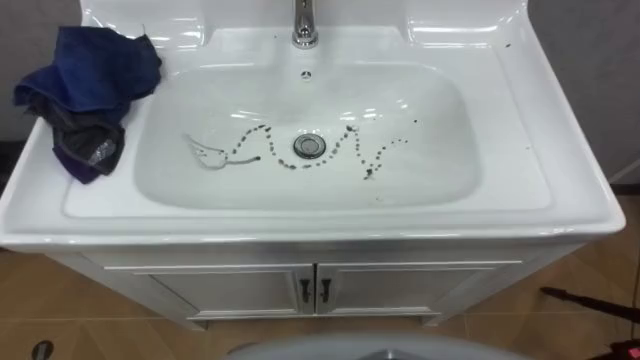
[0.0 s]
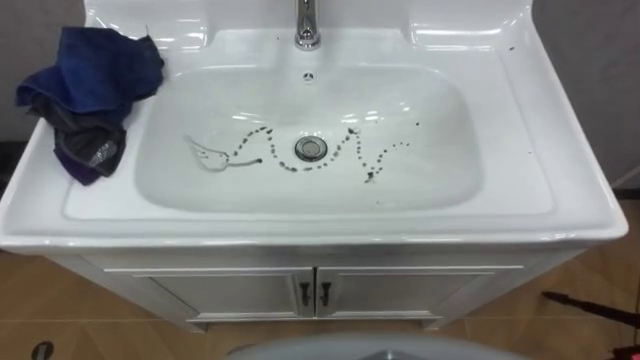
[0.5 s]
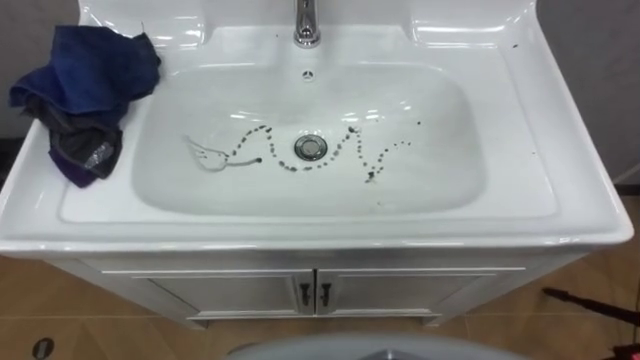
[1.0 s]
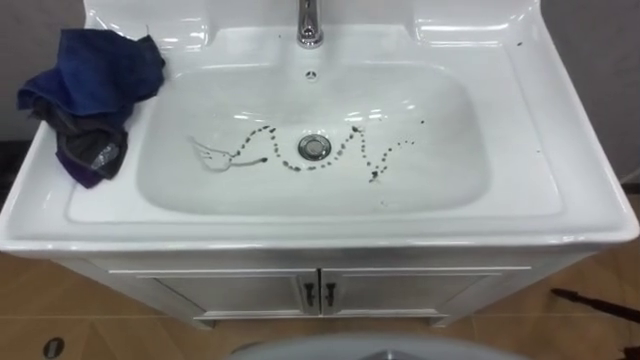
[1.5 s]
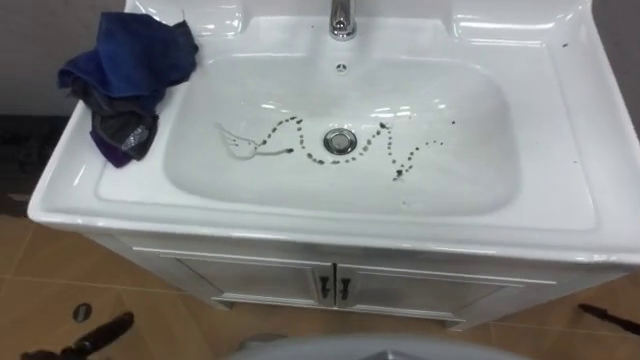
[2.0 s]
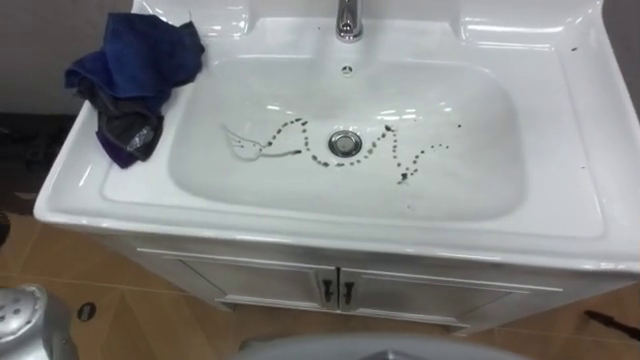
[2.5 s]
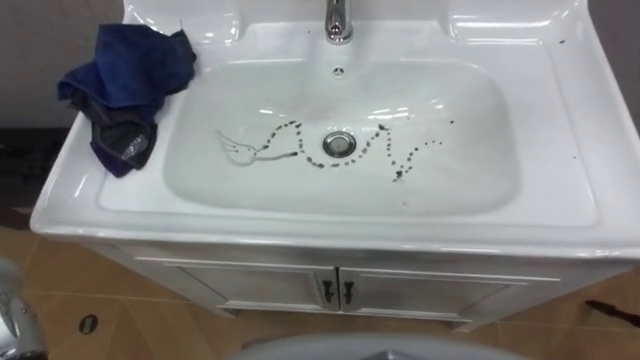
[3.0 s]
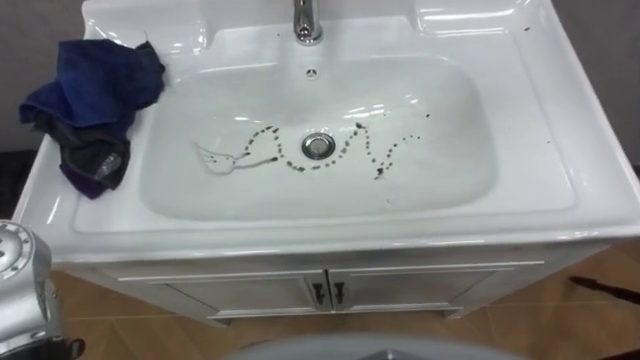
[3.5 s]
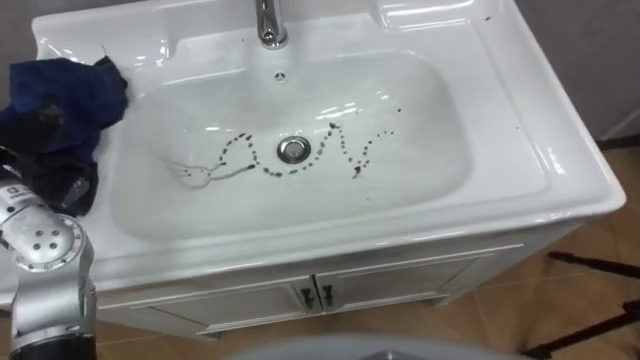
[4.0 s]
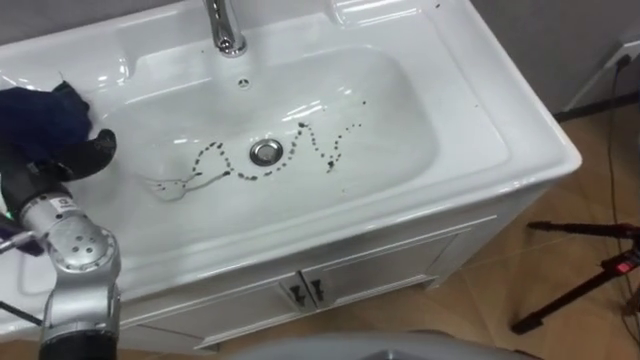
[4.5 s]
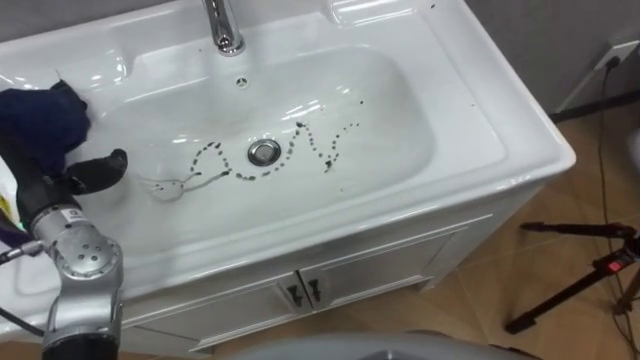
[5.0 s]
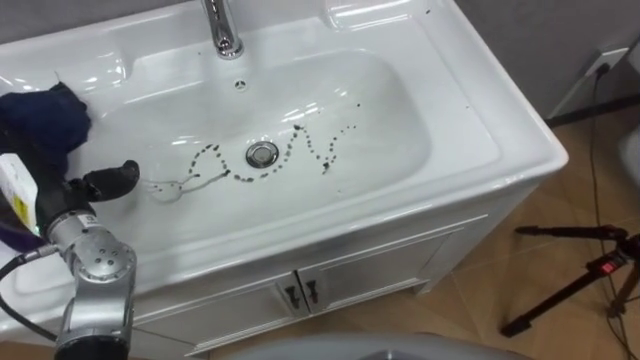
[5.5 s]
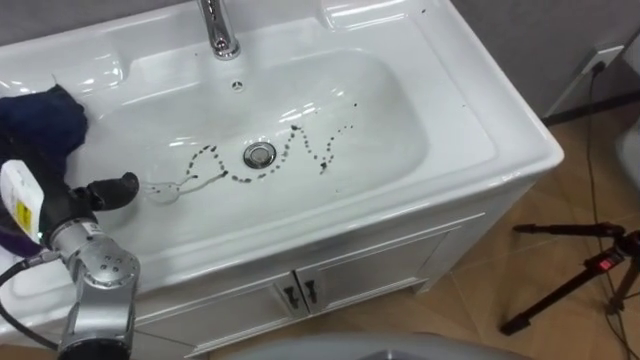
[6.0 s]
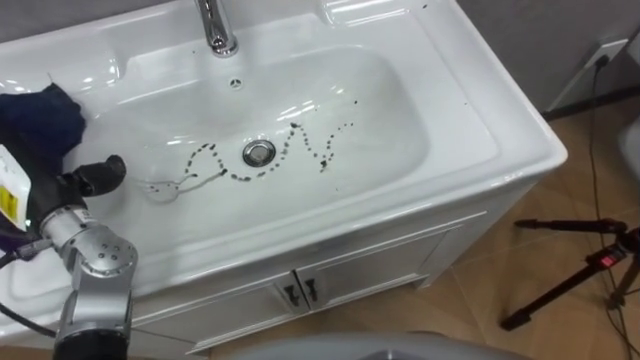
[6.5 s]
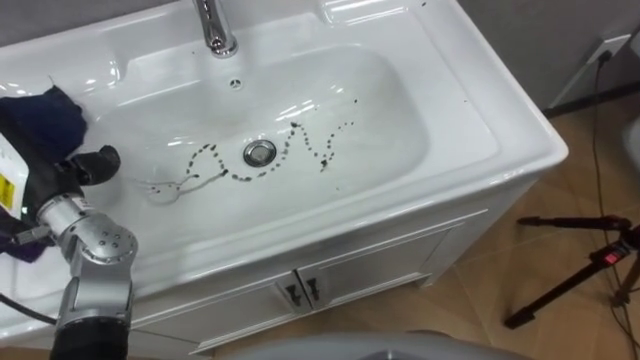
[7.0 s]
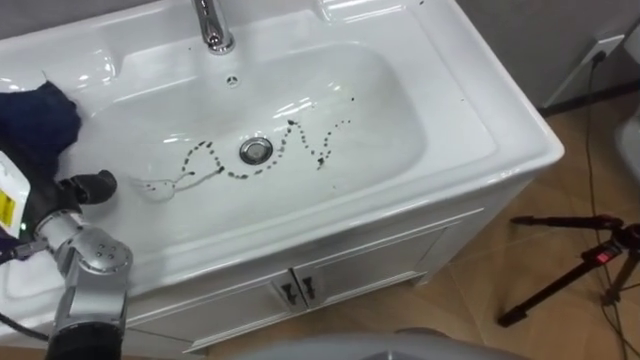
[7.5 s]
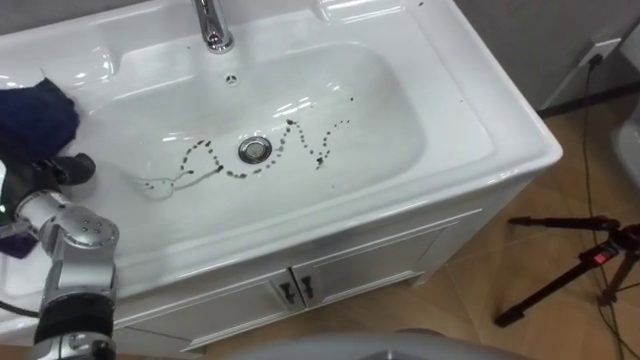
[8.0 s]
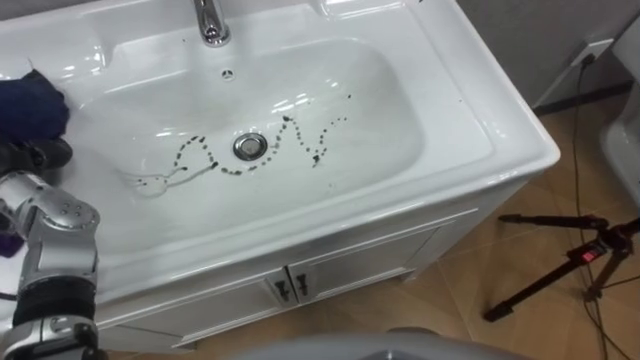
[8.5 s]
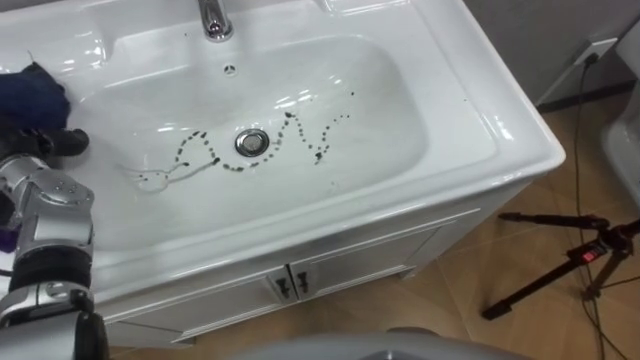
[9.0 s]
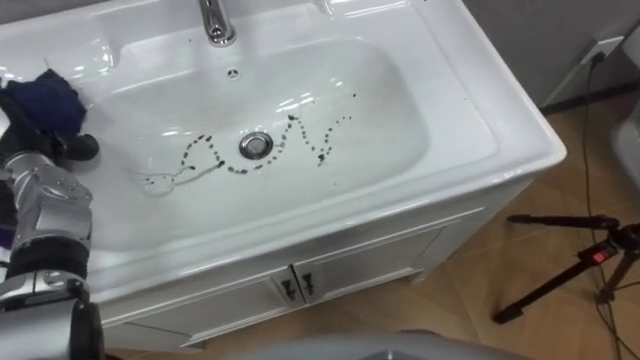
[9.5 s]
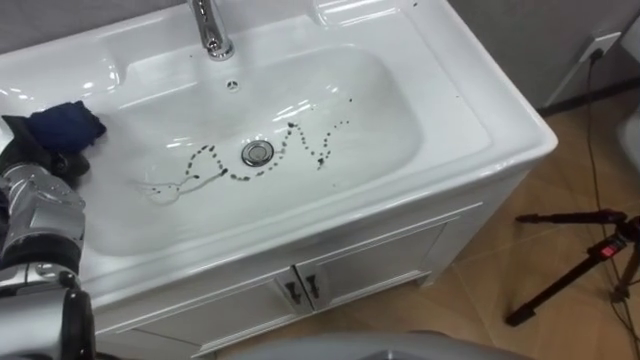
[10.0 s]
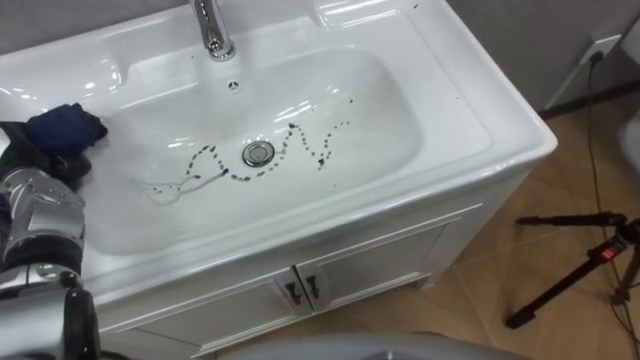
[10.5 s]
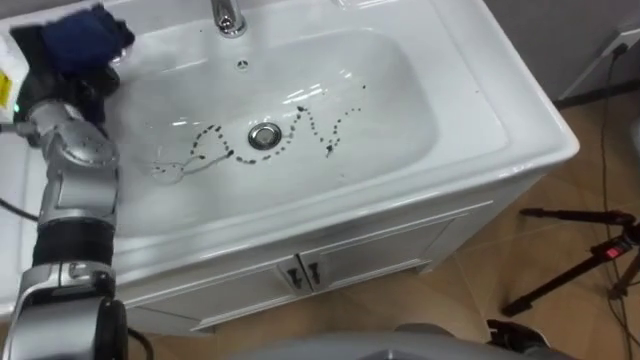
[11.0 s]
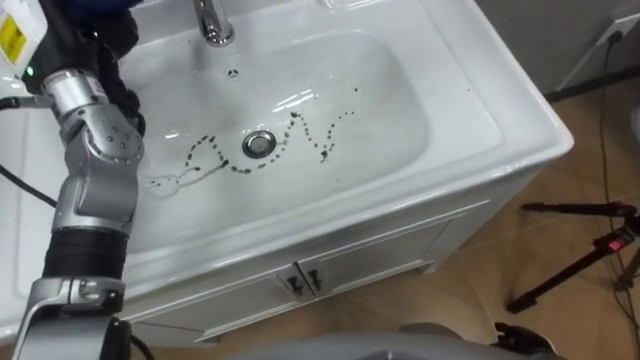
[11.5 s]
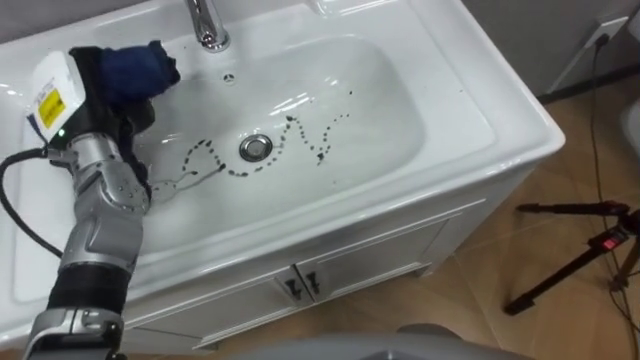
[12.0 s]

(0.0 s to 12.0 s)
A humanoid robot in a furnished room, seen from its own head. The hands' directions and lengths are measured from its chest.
Task of the whole recording: Use the cloth on the right to wipe away the black stain in the sink.
10.0 s - 12.0 s: The left hand moves to the right and upward, about 10 cm.

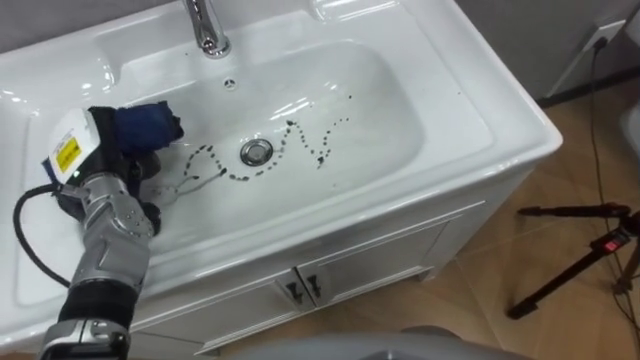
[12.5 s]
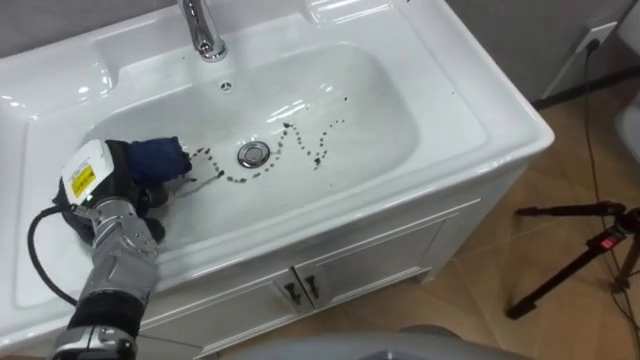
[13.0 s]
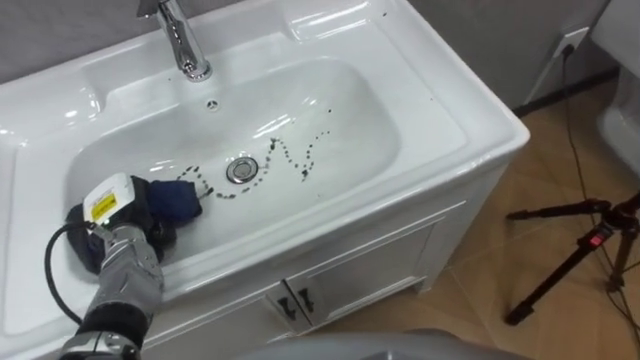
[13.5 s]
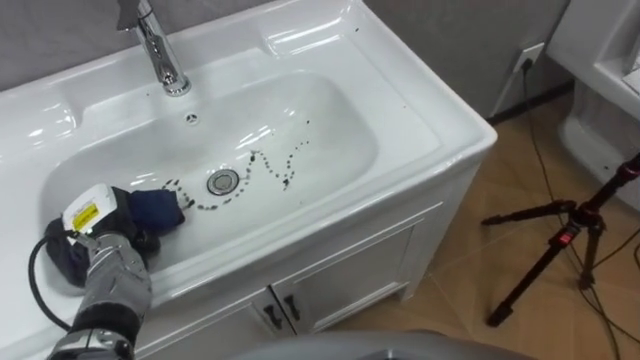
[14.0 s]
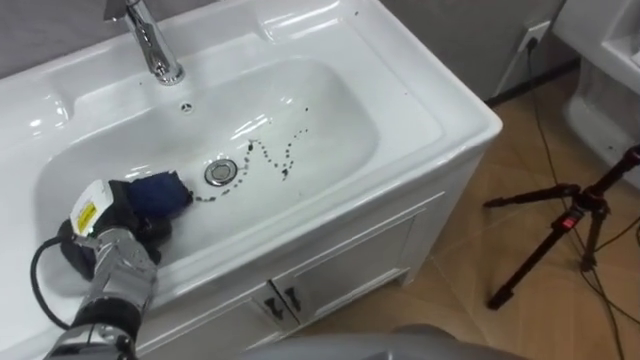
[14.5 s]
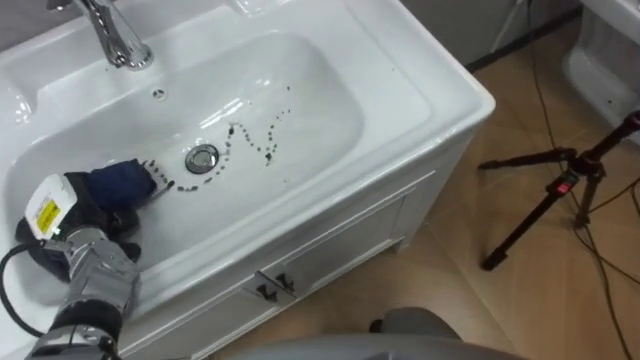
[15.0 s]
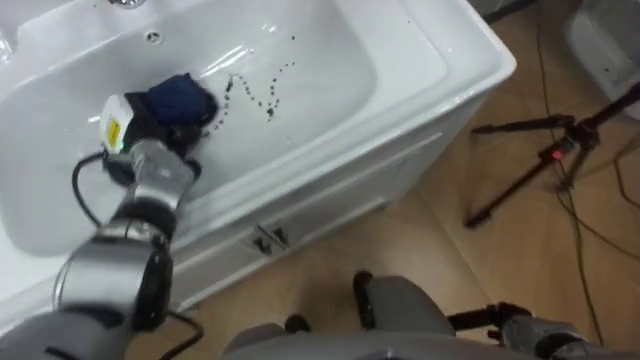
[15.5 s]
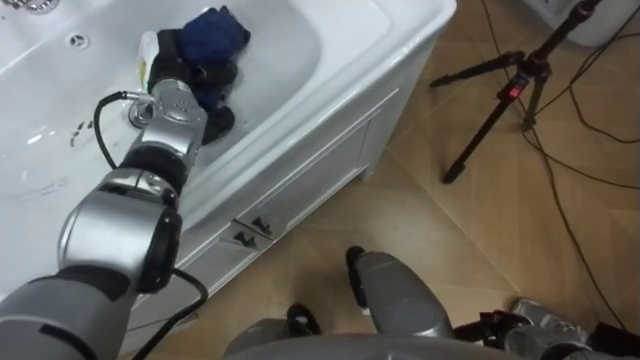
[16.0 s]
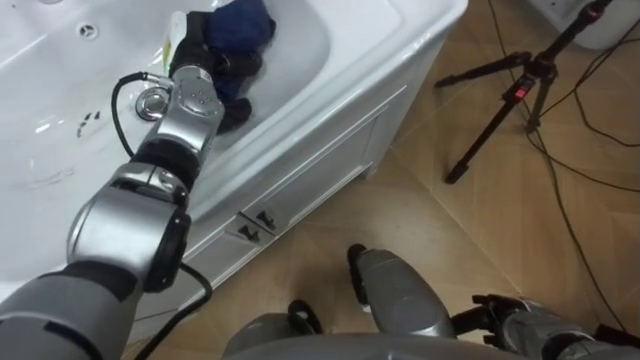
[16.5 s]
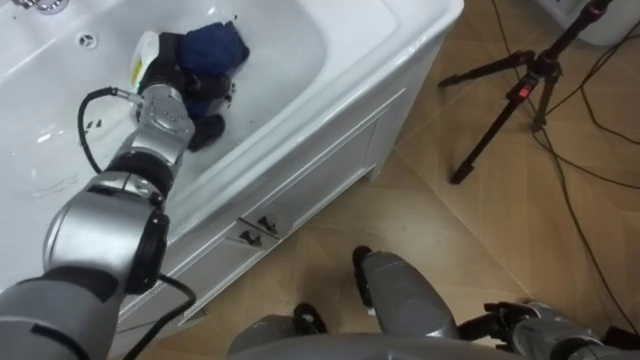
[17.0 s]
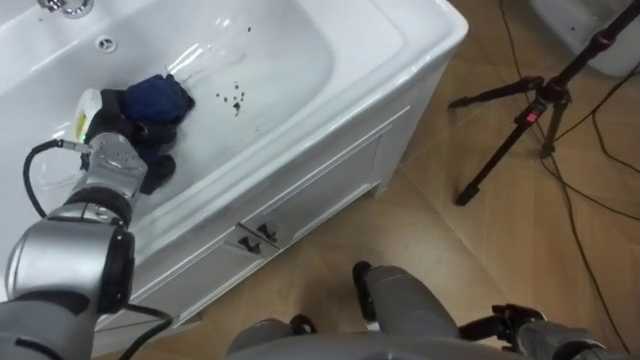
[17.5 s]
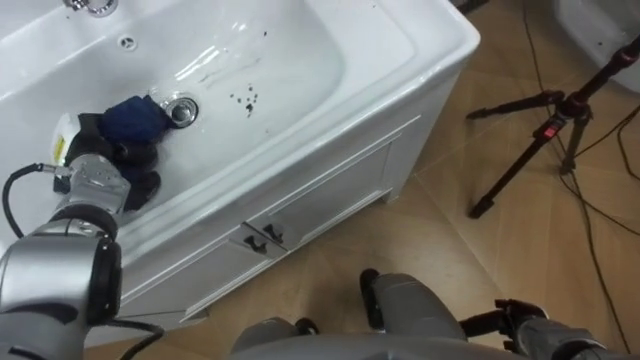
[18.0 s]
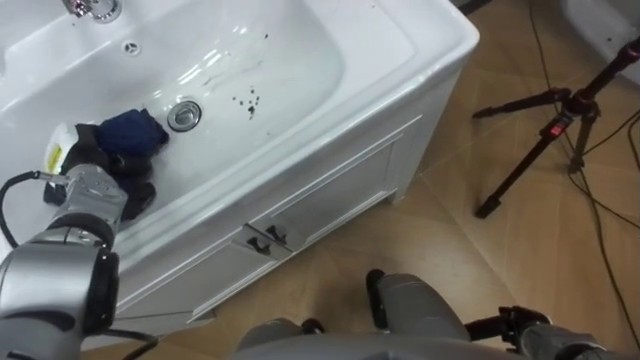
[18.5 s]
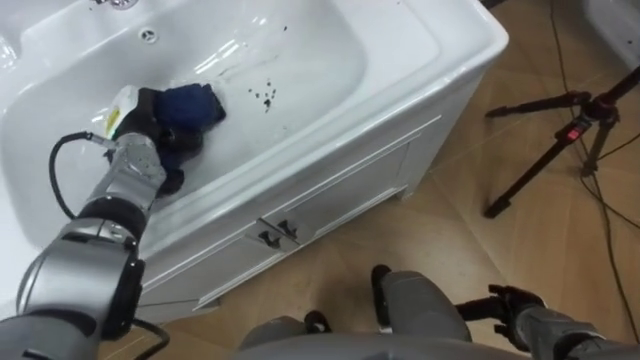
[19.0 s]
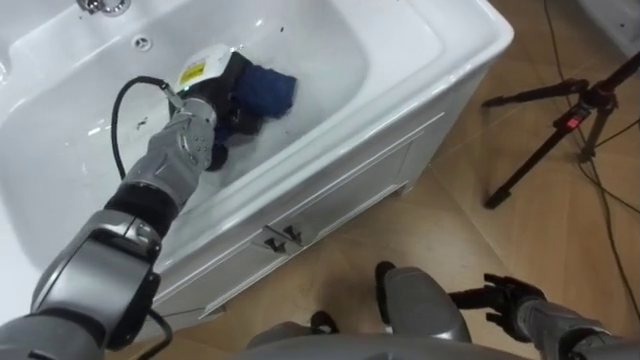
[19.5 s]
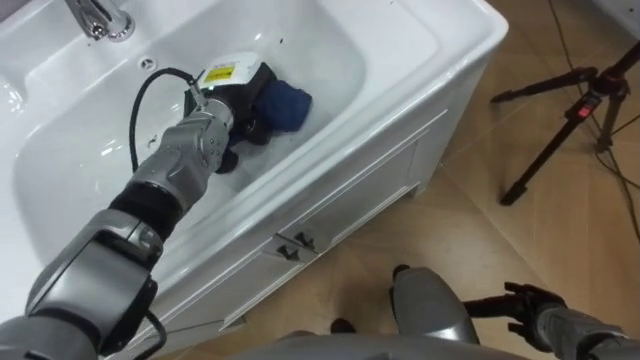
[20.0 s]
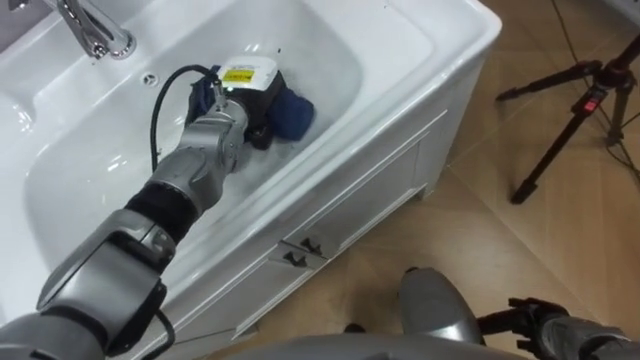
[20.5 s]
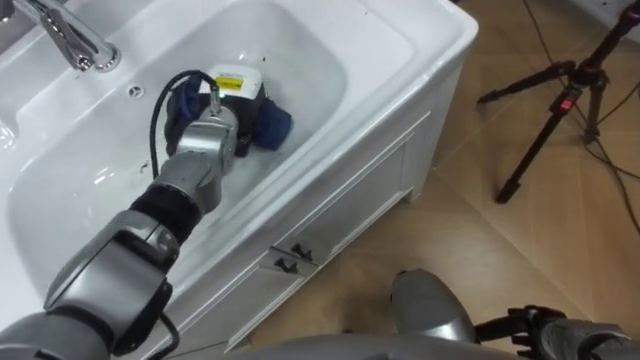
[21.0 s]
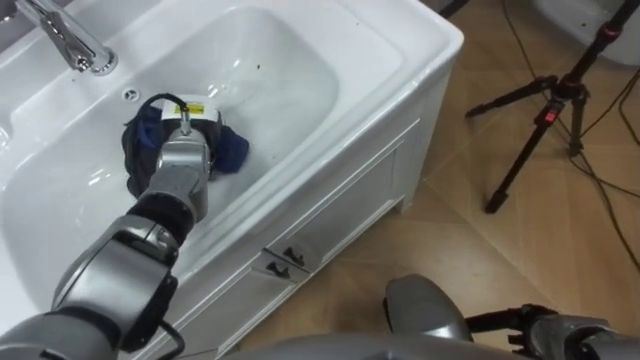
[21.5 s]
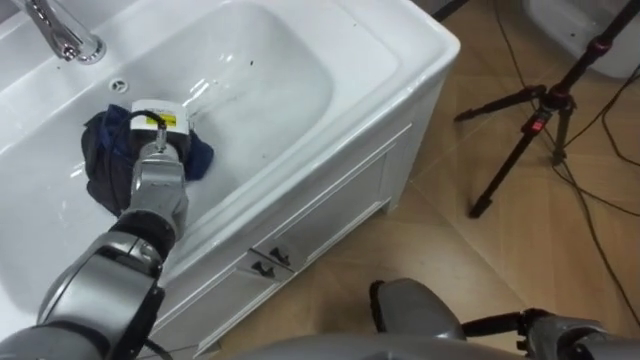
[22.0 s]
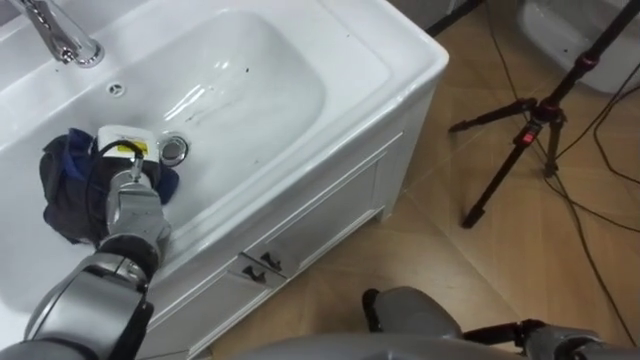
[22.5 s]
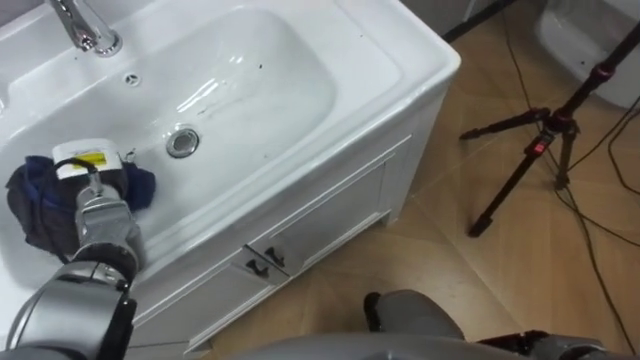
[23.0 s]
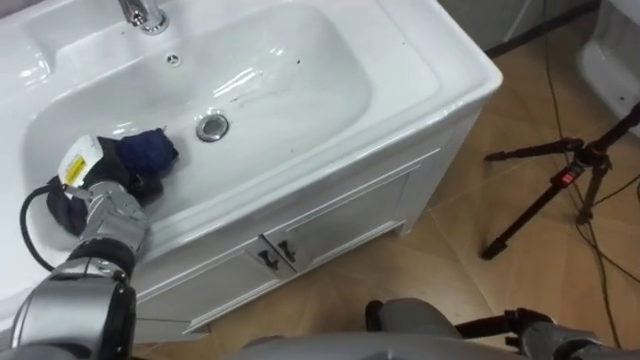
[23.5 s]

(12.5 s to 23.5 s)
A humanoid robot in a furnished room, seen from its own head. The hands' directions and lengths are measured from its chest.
Task of the whole recording: Use the cloth on the right to wipe away the black stain in the sink.
12.5 s - 14.5 s: The left hand heads downward and backward, covering some 10 cm.
14.5 s - 16.0 s: The left hand shifts about 25 cm forward, upward and to the right.
16.0 s - 18.0 s: The left hand is displaced to the left, backward and downward by roughly 20 cm.
18.0 s - 20.0 s: The left hand moves to the right, roughly 20 cm.
20.0 s - 21.5 s: The left hand moves to the left and downward, some 10 cm.
21.5 s - 23.5 s: The left hand shifts approximately 15 cm to the left and backward.
